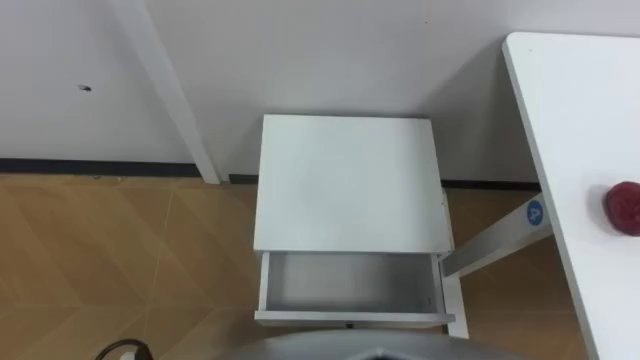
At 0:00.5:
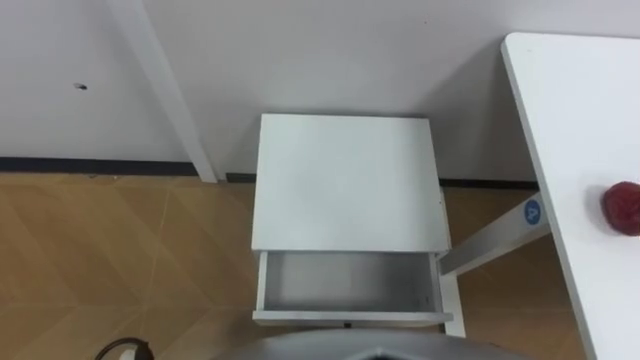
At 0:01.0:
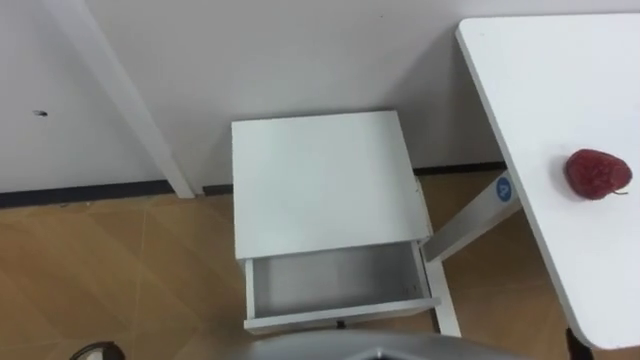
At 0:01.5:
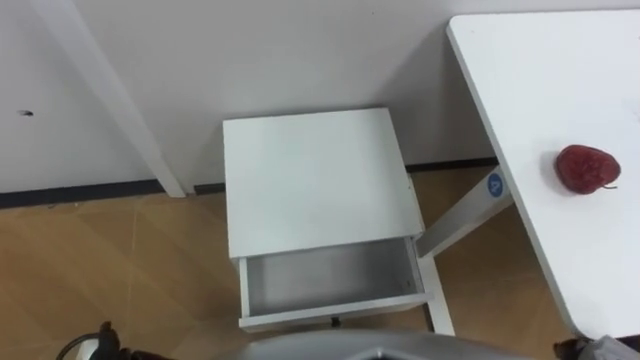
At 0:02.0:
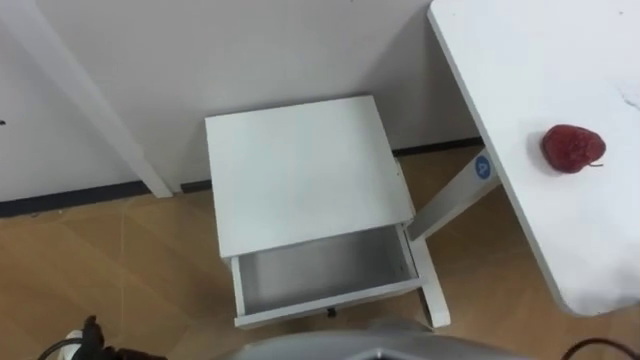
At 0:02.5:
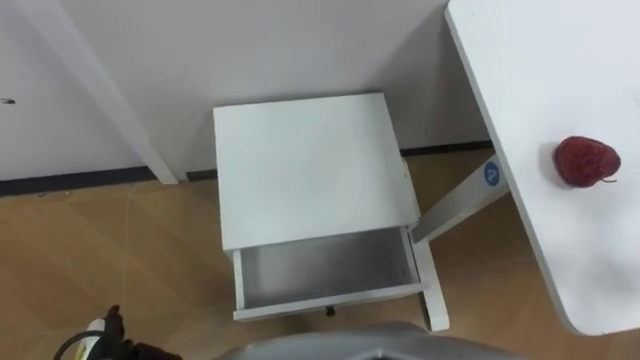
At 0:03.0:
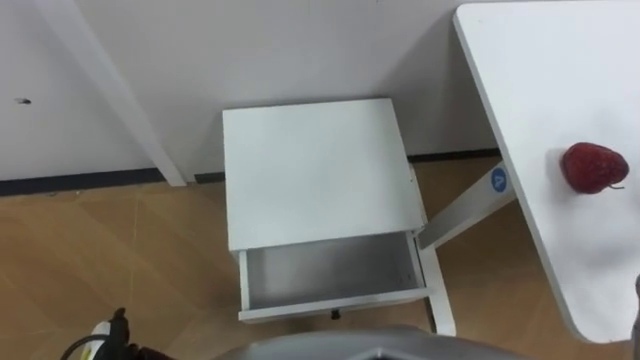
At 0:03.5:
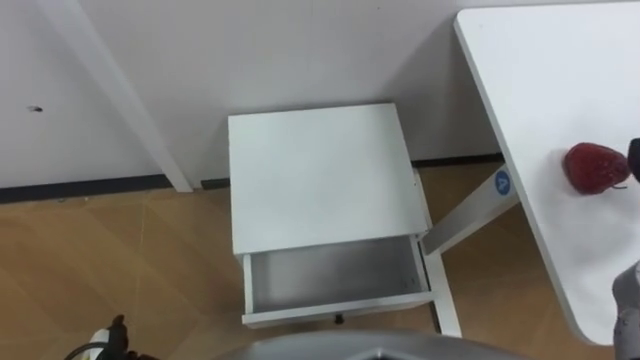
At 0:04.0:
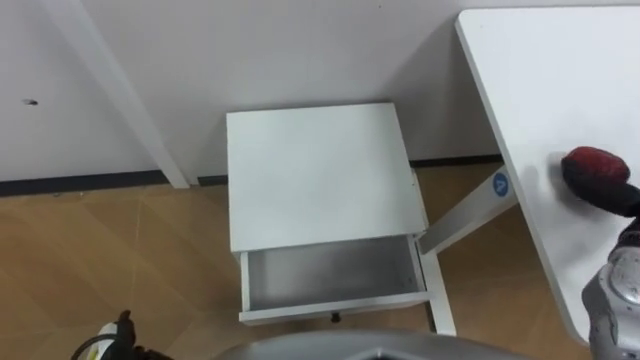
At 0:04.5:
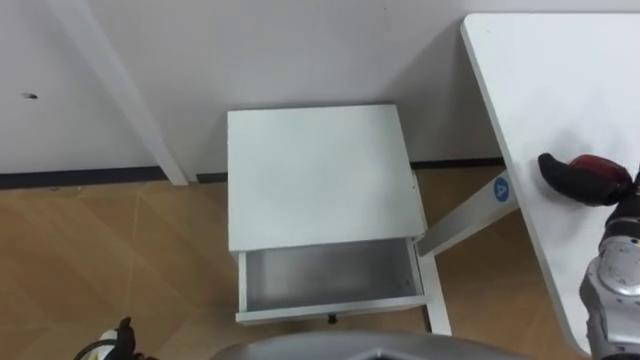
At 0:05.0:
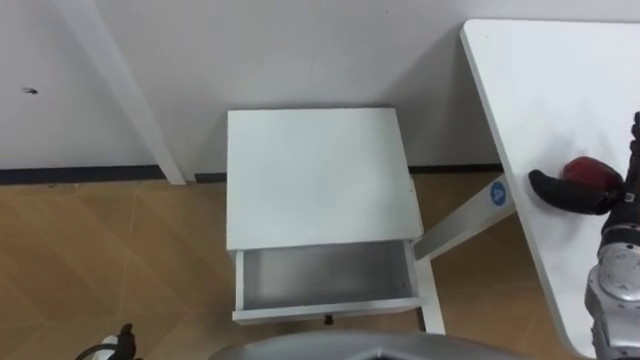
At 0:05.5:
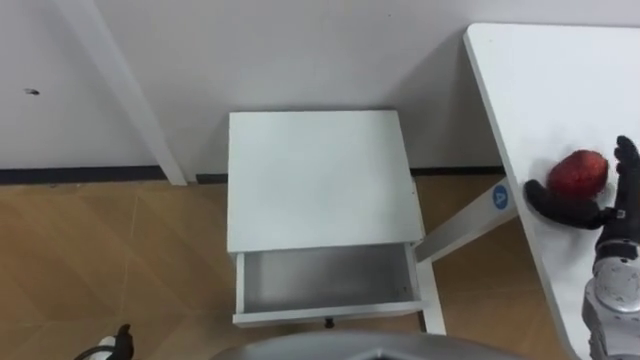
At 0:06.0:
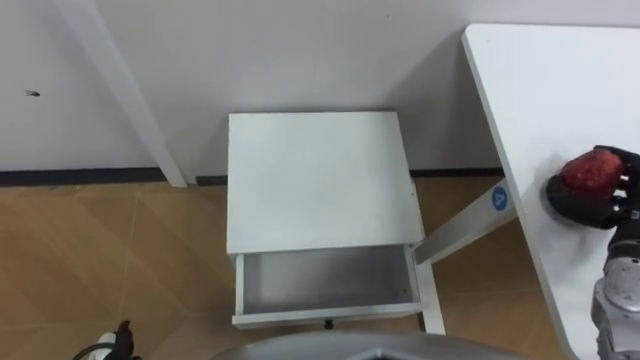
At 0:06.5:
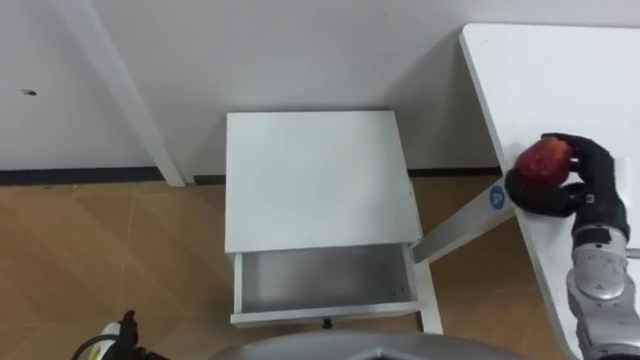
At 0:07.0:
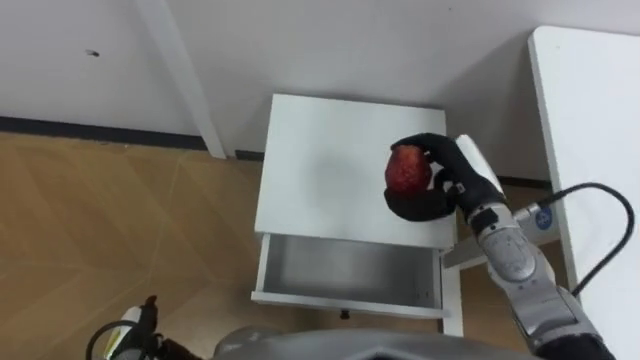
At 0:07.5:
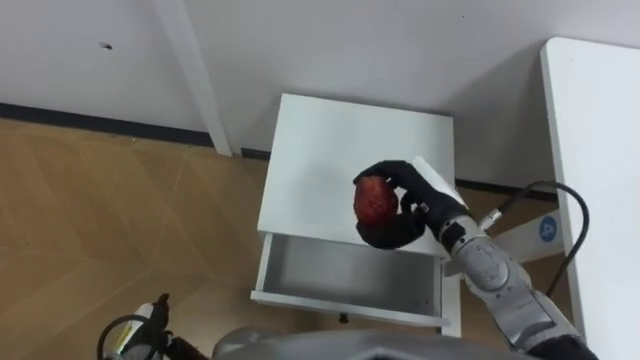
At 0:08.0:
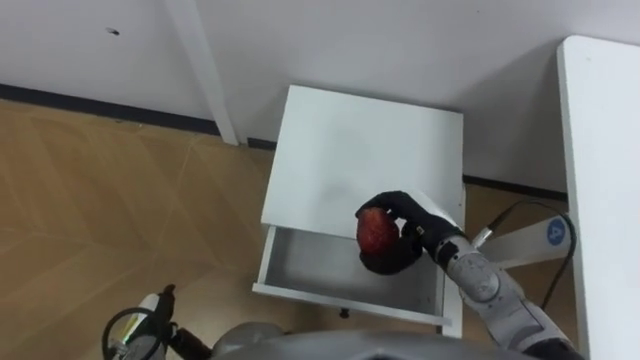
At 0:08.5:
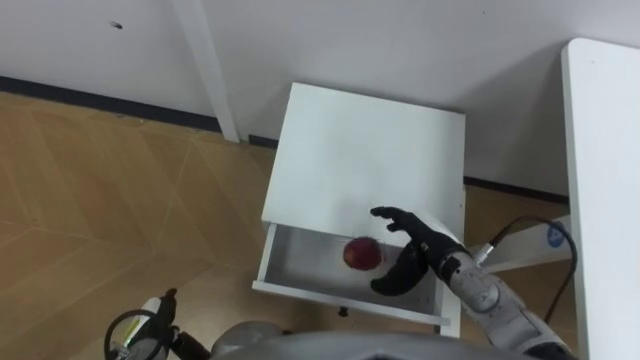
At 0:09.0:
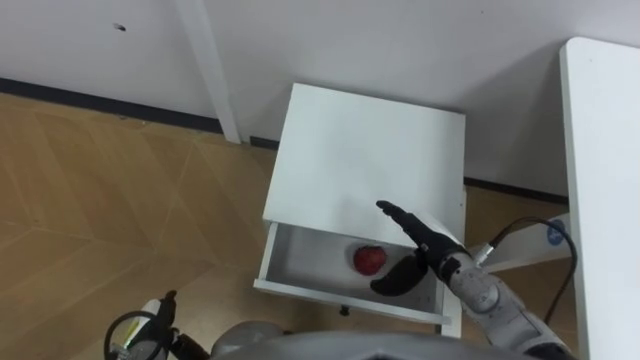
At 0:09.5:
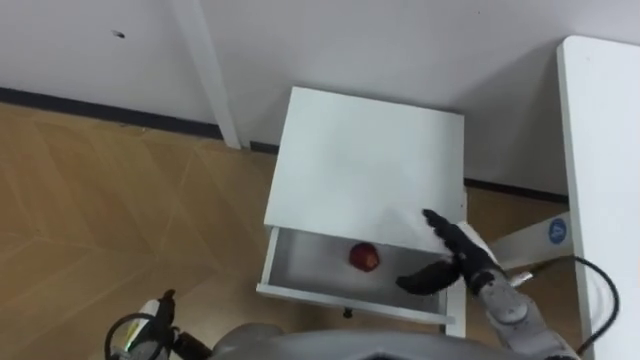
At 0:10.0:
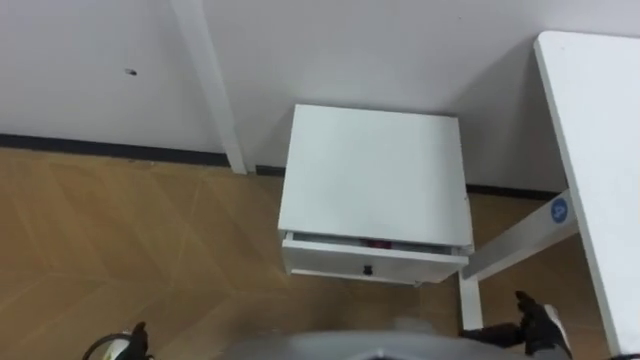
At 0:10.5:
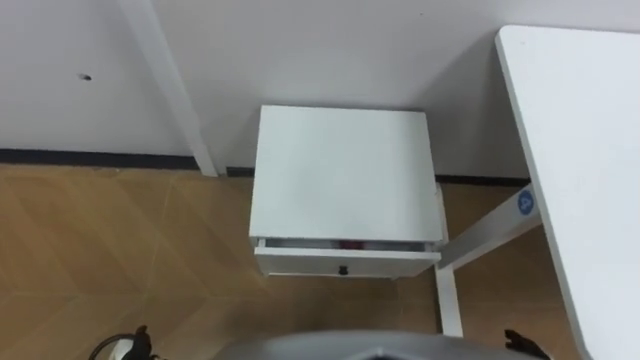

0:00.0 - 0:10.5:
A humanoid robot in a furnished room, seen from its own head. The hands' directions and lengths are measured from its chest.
Task of the whole recording: Pick up the apple from the table, put it in the drawer, and close the drawer with leg.
0:06.5 - 0:08.5: The right hand goes roughly 20 cm to the left and downward, and opens its fingers, while the left hand moves some 5 cm.
0:08.5 - 0:10.5: The left hand ends up approximately 5 cm from where it was.

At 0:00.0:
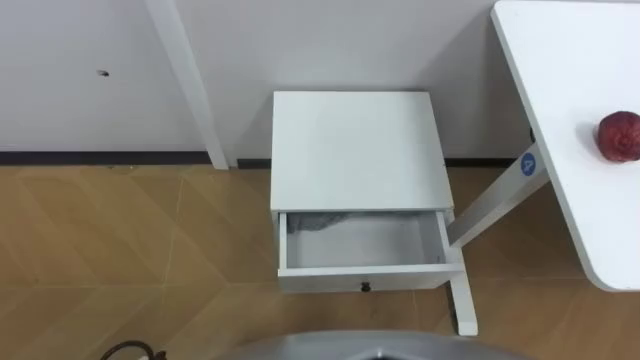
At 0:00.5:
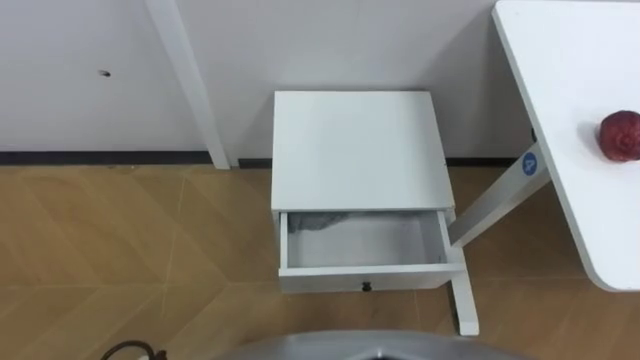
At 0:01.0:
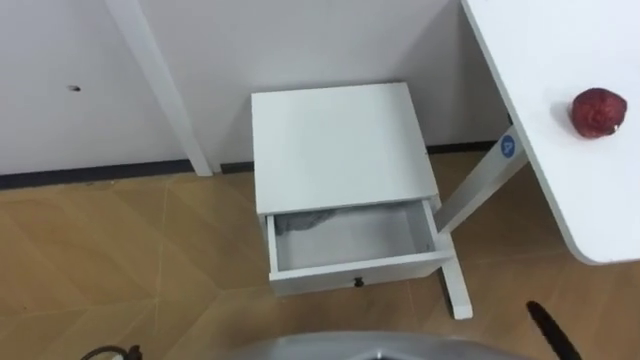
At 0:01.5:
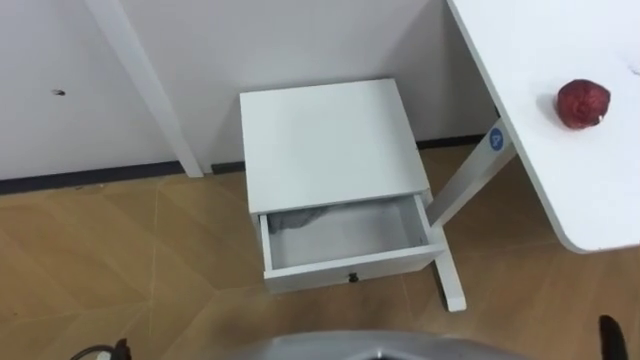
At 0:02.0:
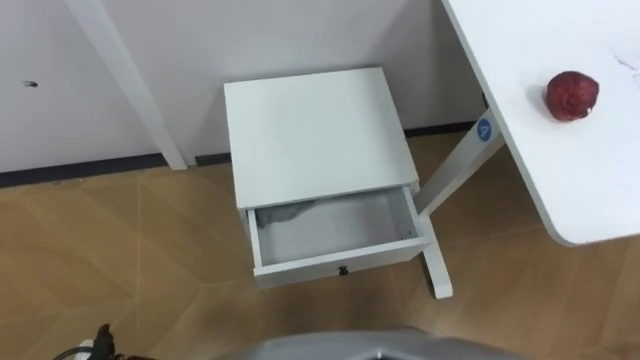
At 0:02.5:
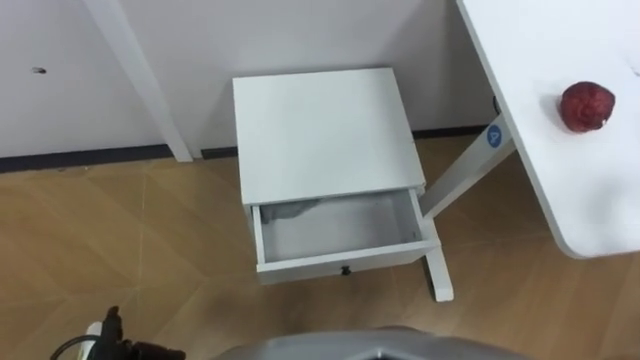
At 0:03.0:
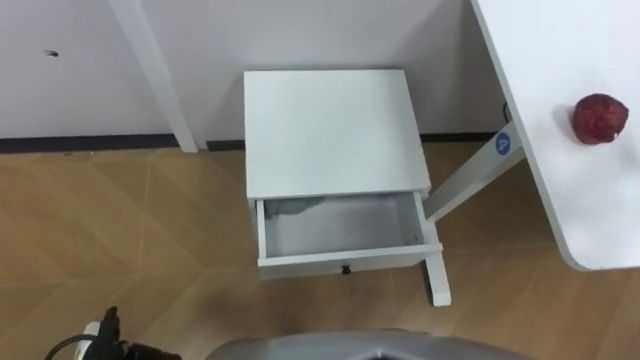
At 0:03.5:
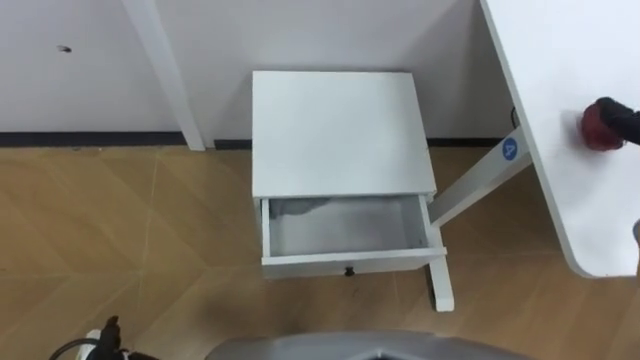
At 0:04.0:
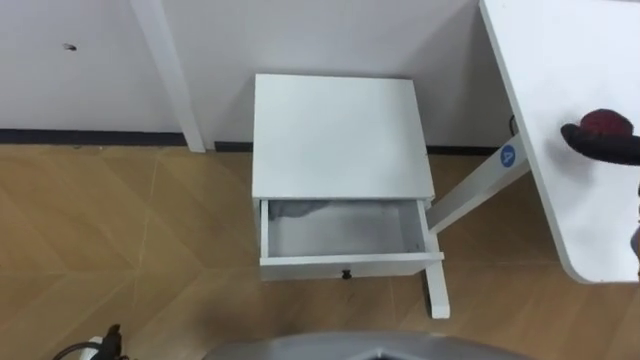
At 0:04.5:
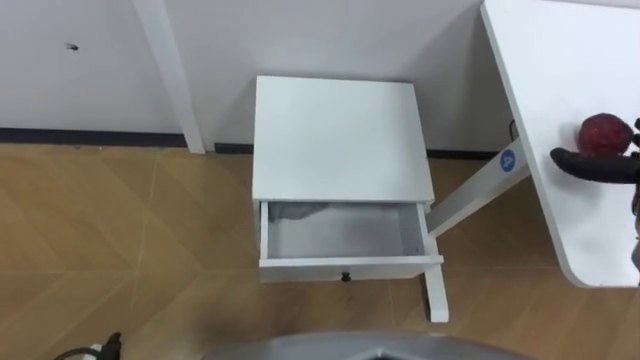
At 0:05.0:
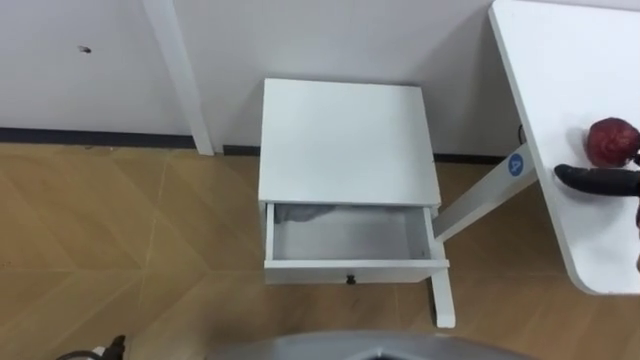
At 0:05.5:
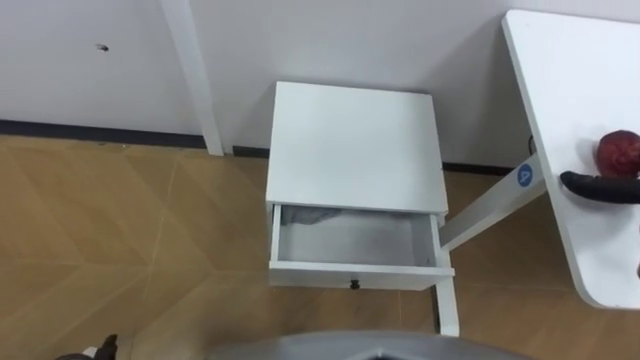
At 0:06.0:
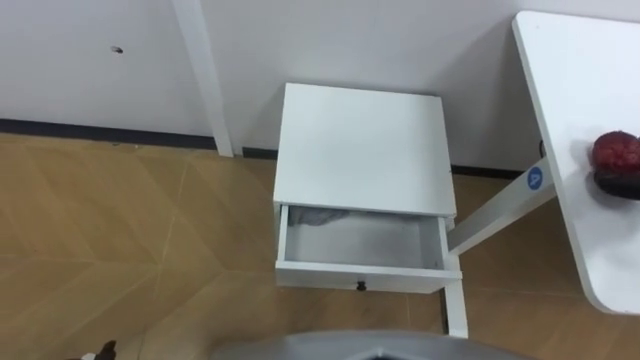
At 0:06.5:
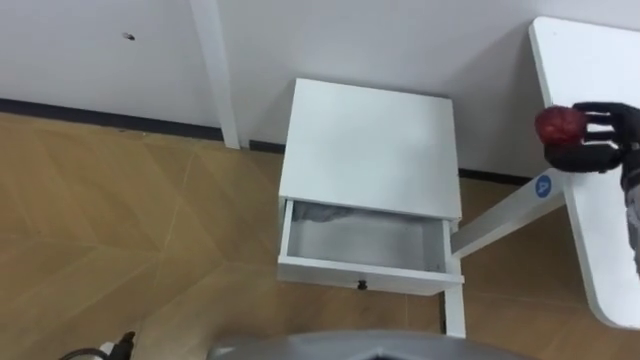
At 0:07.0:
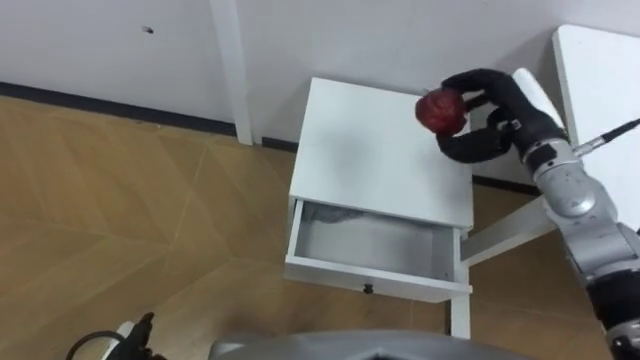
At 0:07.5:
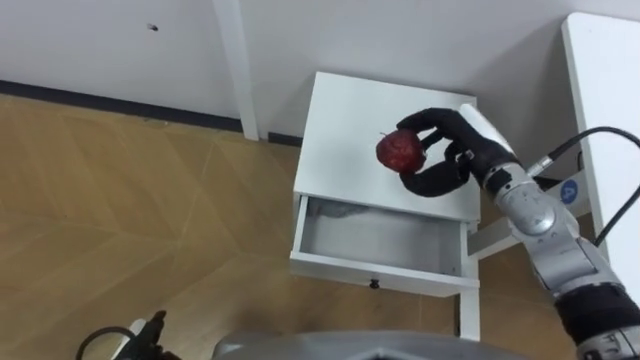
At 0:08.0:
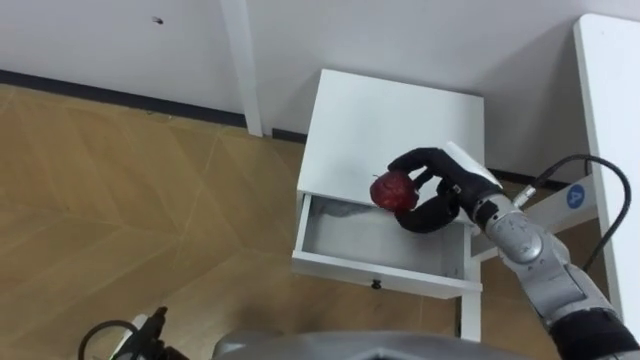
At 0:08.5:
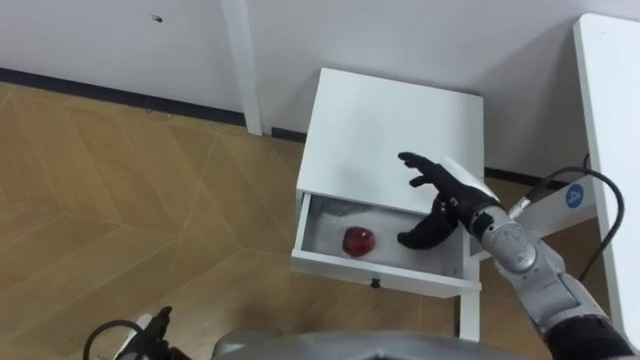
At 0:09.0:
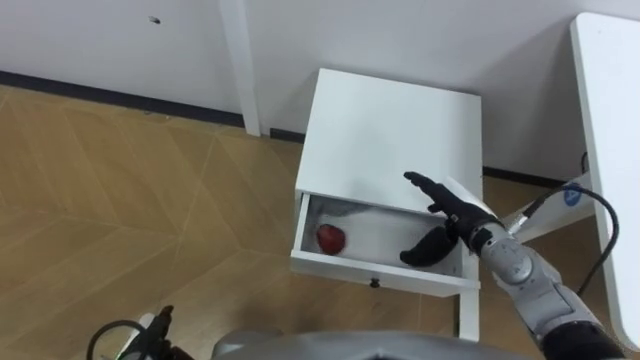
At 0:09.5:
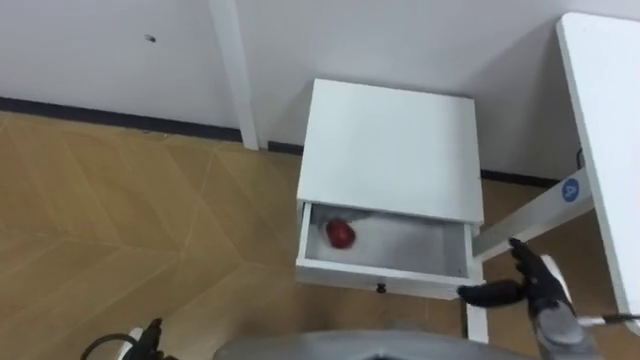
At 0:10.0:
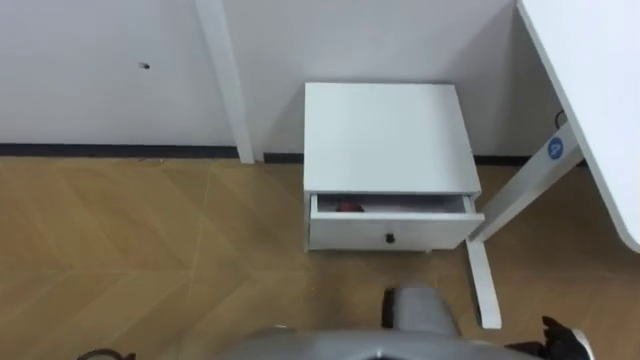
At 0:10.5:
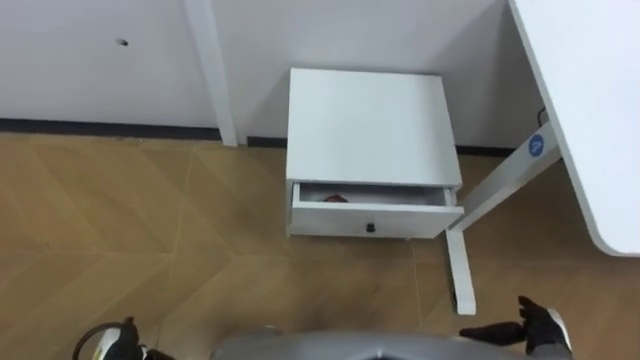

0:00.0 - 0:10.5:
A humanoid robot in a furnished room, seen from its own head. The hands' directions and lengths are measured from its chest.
Task of the whole recording: Pick up the apple from the table, put it in the drawer, and close the drawer with leg.
0:06.5 - 0:08.5: The right hand is displaced to the left by approximately 20 cm.
0:08.5 - 0:10.5: The right hand moves backward, downward and to the right, about 25 cm.
